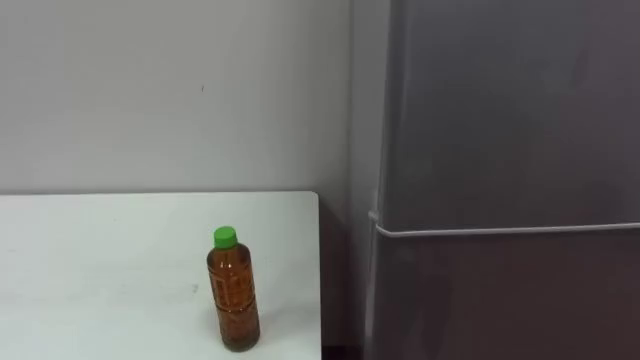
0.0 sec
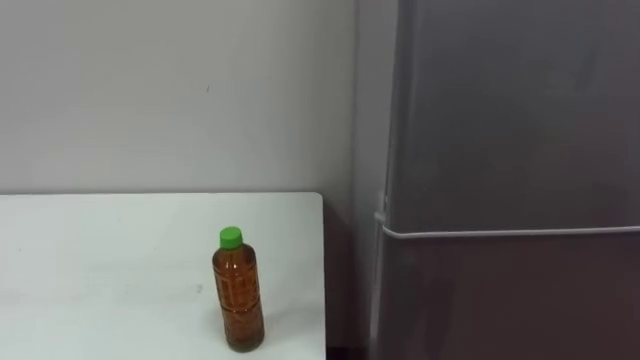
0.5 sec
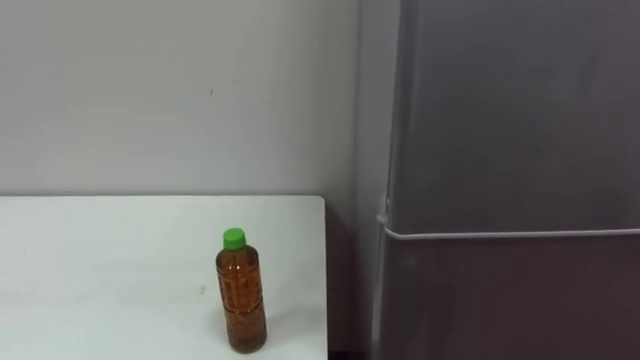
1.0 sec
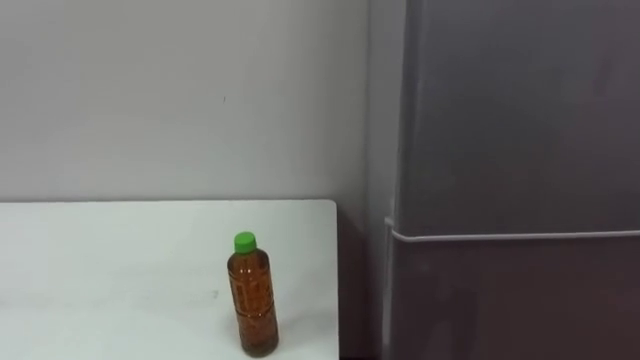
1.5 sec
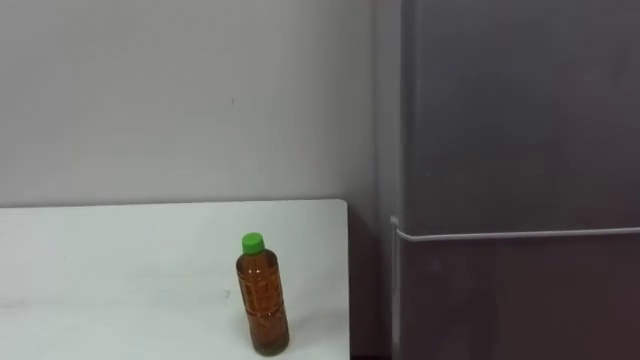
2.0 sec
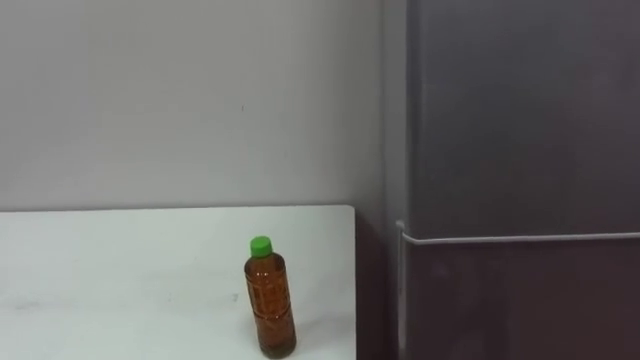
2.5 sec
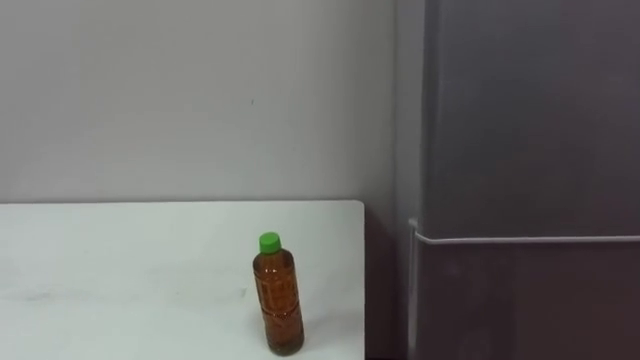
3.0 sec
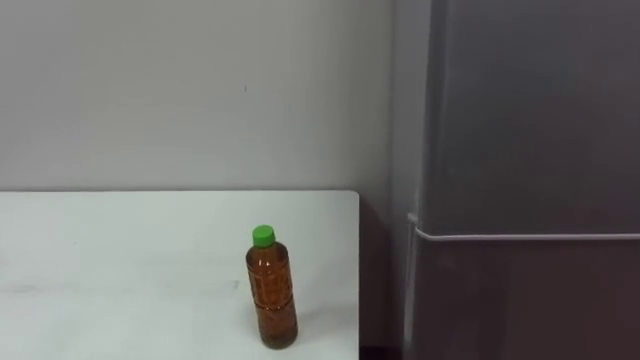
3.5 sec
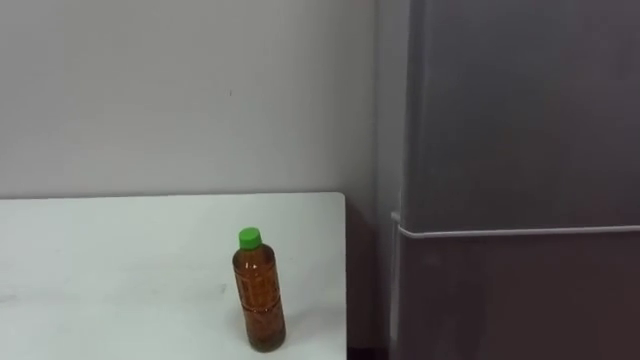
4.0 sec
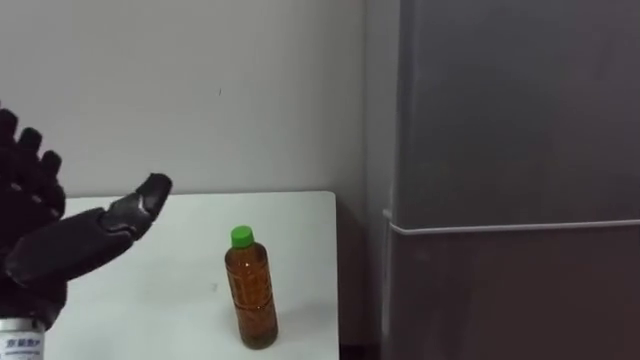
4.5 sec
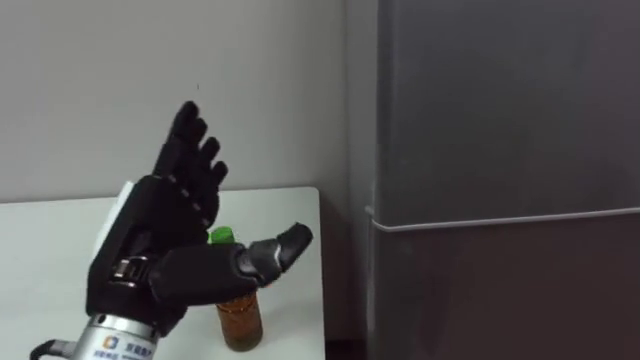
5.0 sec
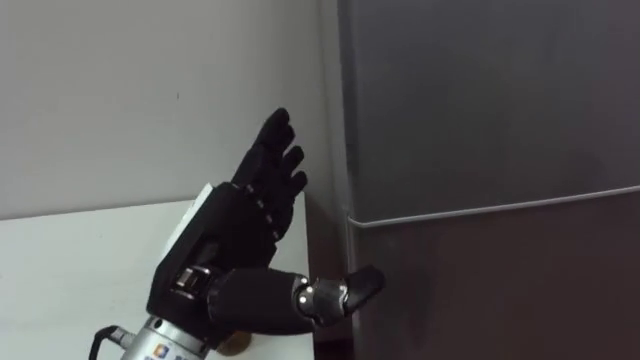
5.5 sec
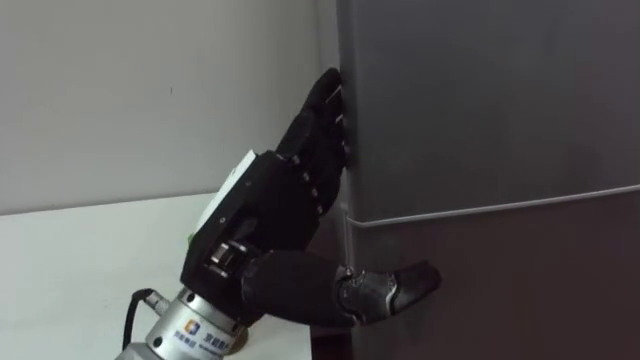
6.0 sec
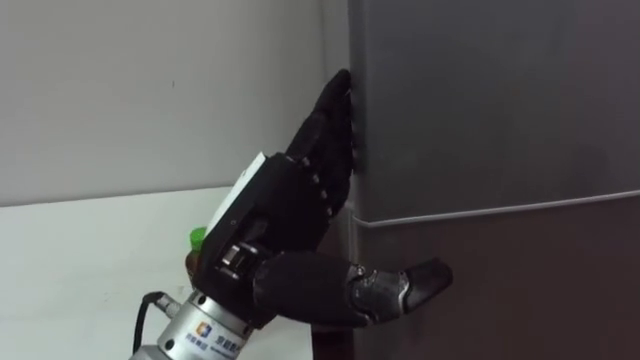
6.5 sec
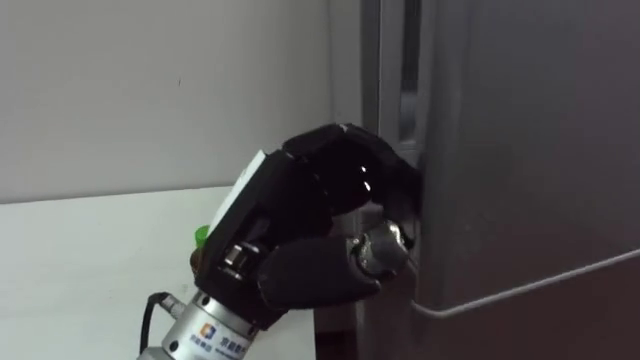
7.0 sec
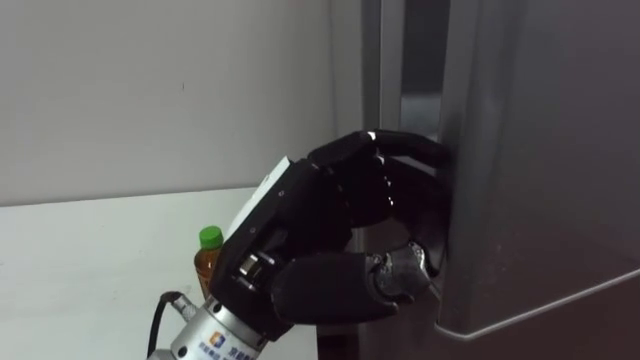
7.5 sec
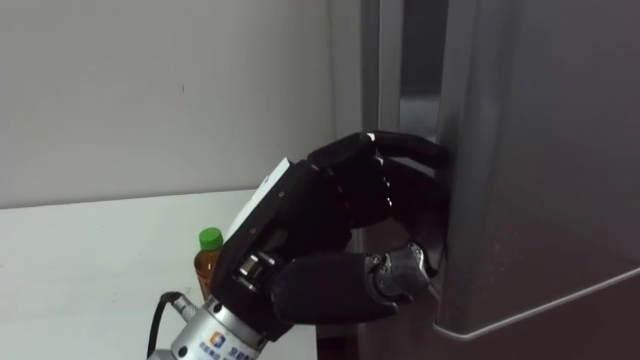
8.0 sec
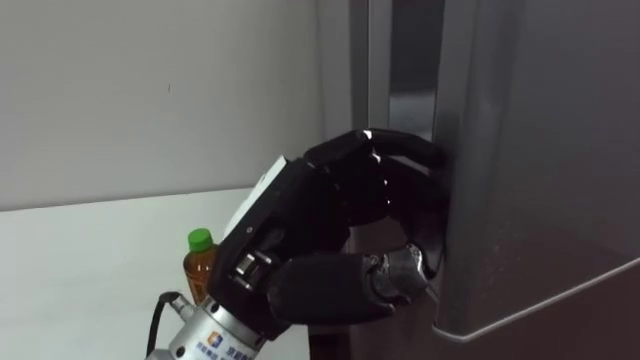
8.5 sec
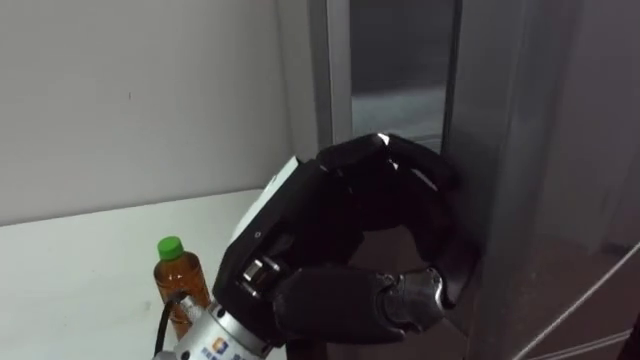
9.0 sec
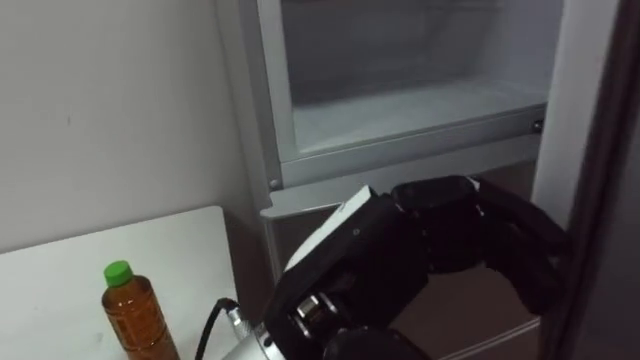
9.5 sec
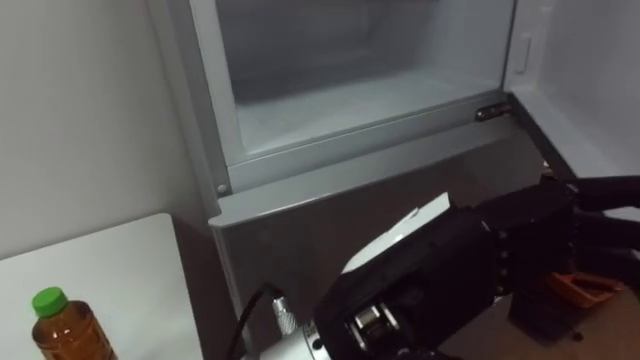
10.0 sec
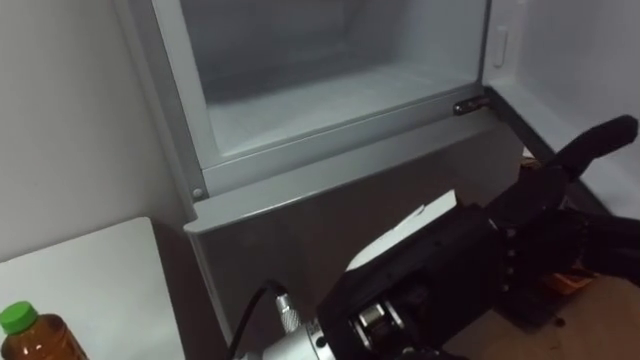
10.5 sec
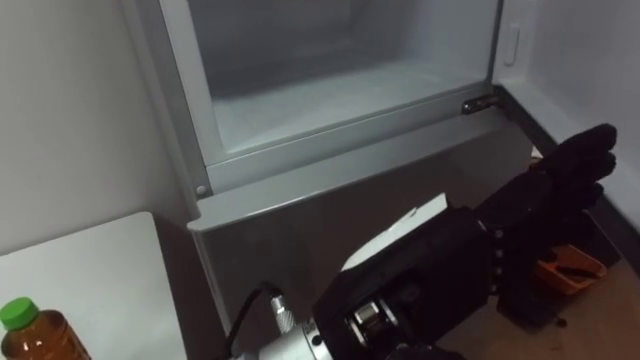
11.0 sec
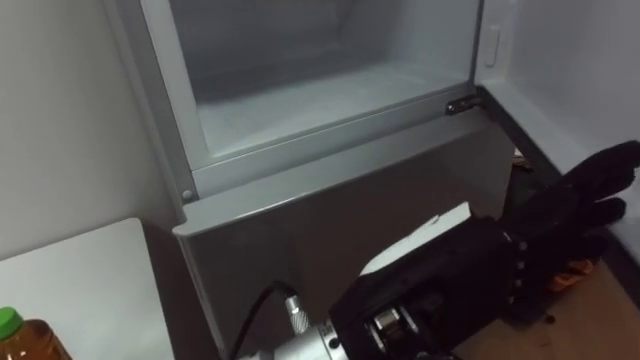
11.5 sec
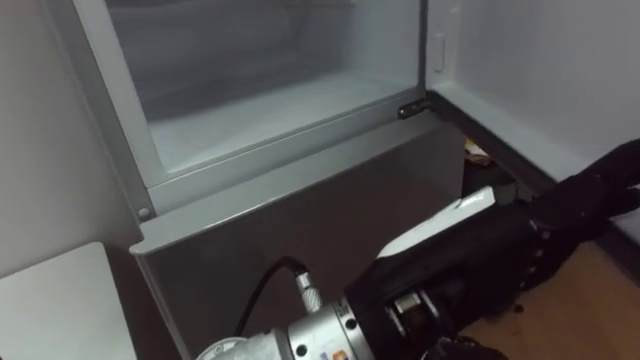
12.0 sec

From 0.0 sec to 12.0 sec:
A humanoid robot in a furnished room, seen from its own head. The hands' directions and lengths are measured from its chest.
Task of the whole recording: Open the upper refrigerator door, put the drink from the table into the refrigerator, and then close the refrigerator door.
From 6.0 sec to 8.0 sec: The left hand closes and opens again.
From 8.0 sec to 10.0 sec: The left hand goes roughly 10 cm to the right and backward.

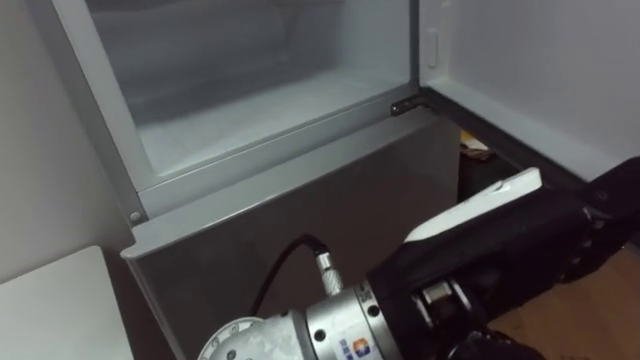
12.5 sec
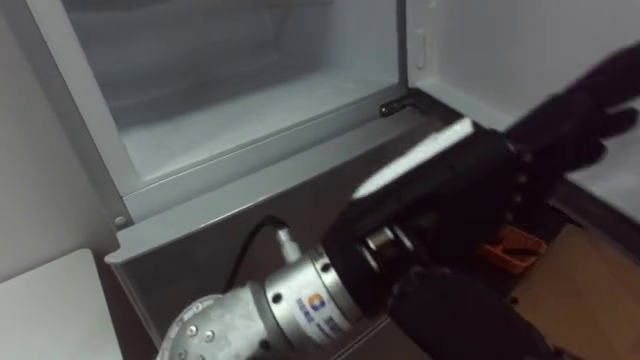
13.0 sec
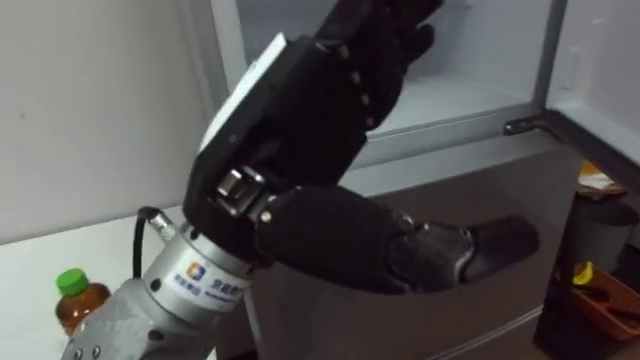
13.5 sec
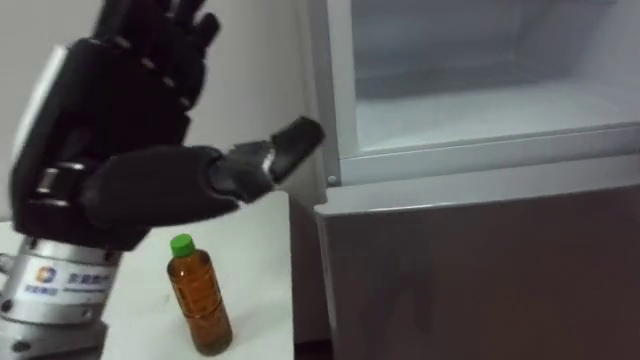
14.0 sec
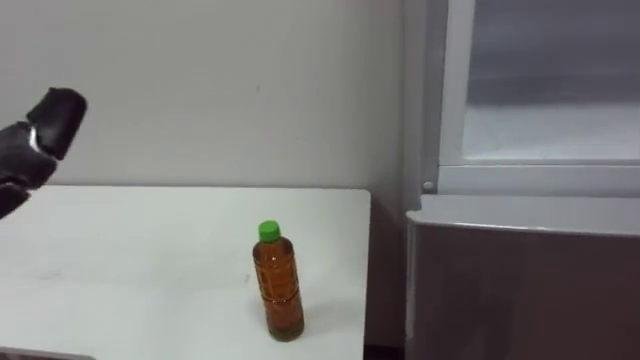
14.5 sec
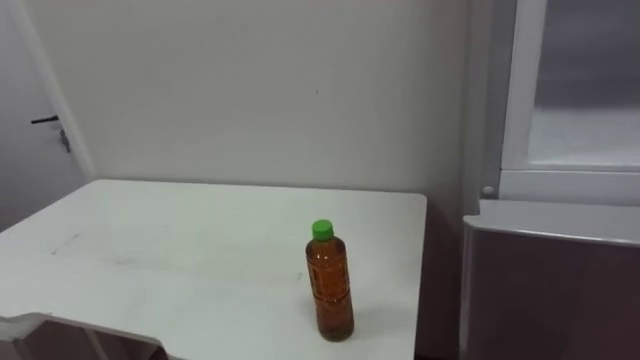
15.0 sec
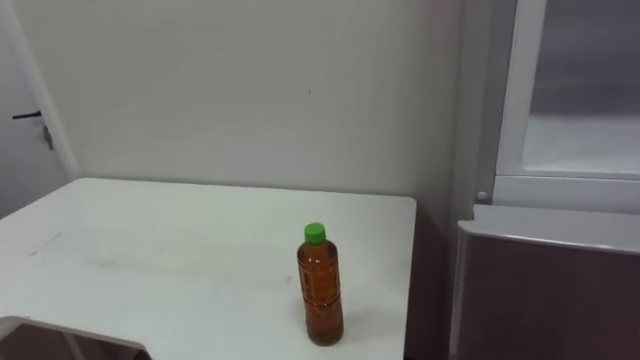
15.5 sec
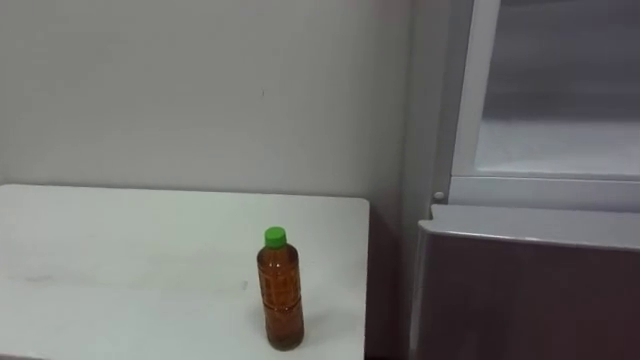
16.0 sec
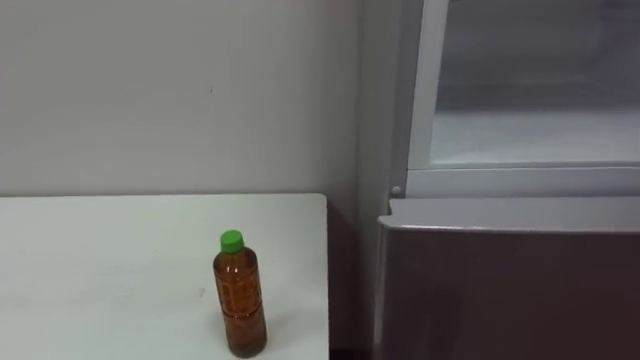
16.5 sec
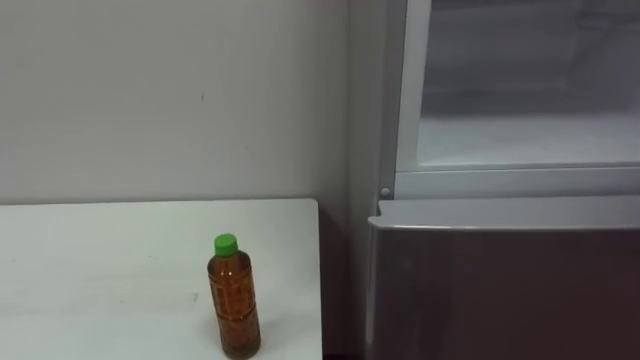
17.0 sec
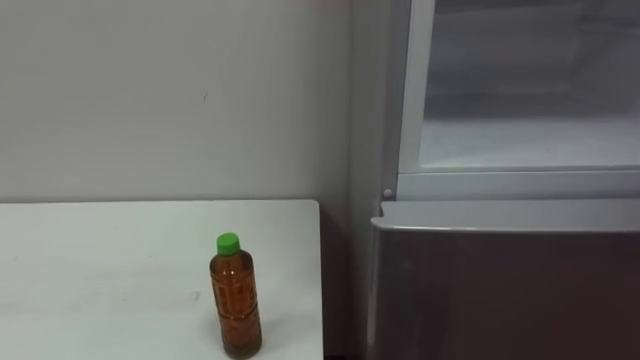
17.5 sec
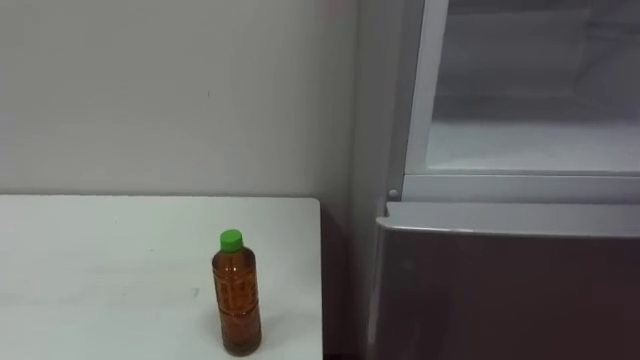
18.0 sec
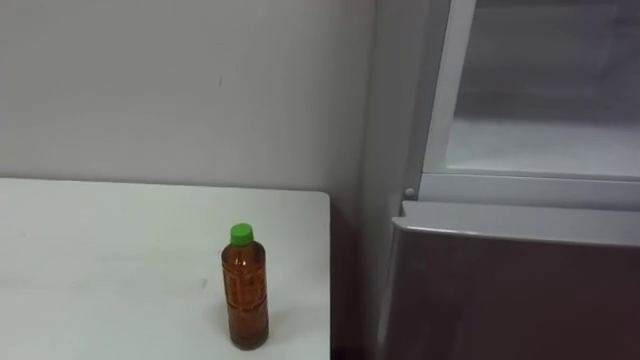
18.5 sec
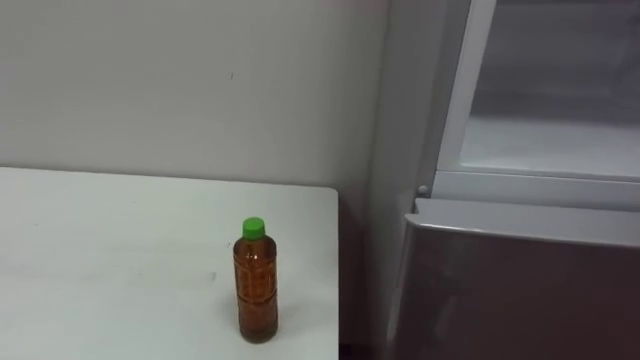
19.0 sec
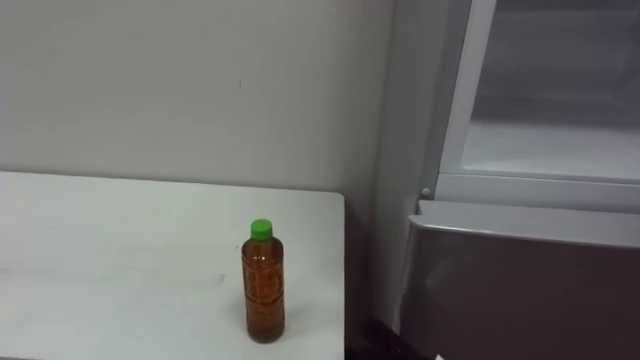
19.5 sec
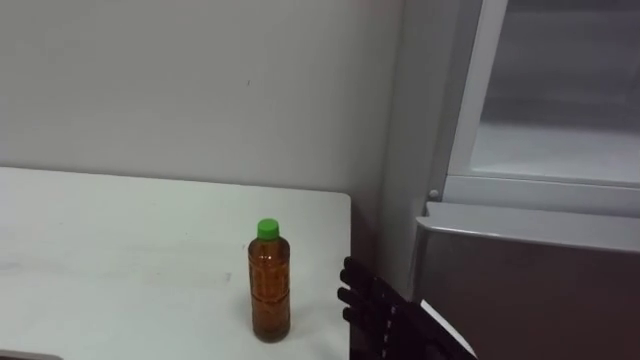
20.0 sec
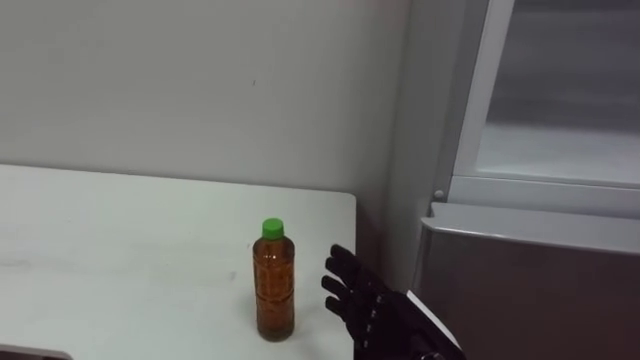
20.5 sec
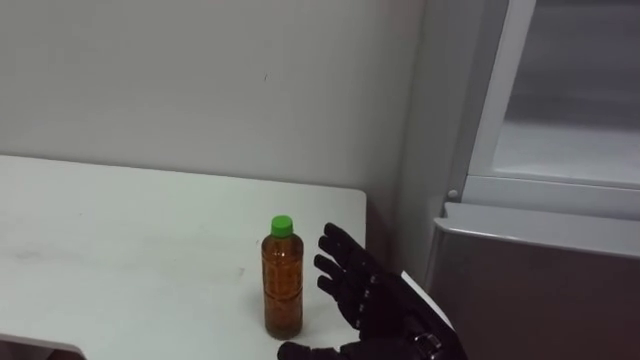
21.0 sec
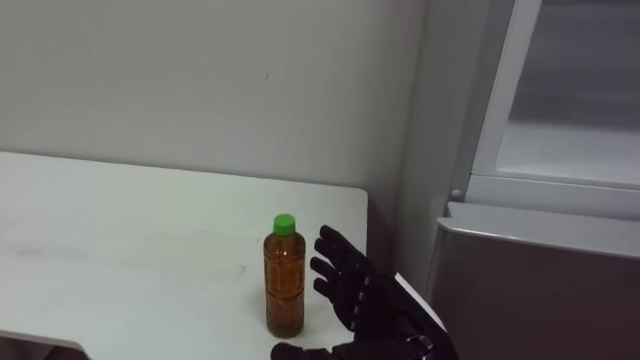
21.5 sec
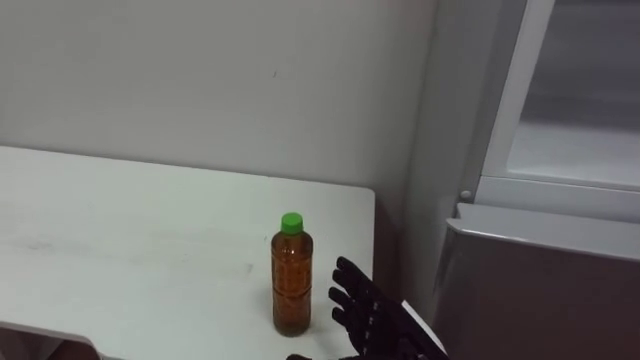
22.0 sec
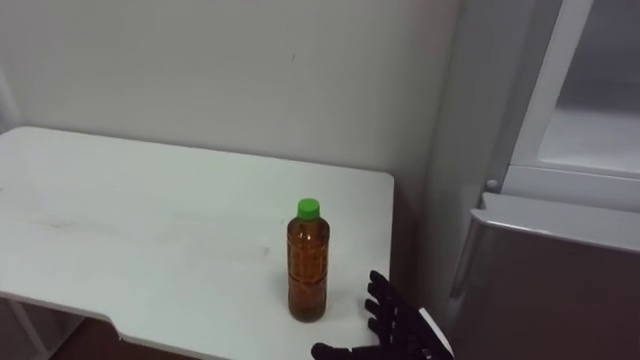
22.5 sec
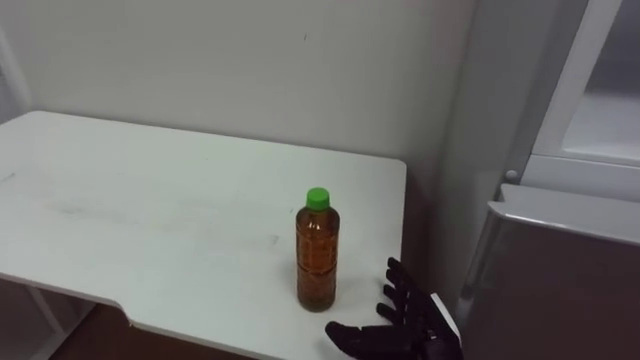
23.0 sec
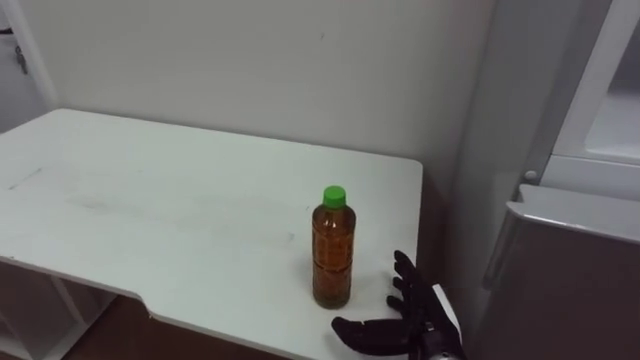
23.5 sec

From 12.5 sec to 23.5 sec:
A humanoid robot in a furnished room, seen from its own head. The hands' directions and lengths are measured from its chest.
Task of the whole recording: Open the upper refrigerator door, put the drink from the table into the refrigerator, and then close the refrigerator door.
From 21.5 sec to 23.5 sec: The right hand moves downward and forward, about 10 cm.
